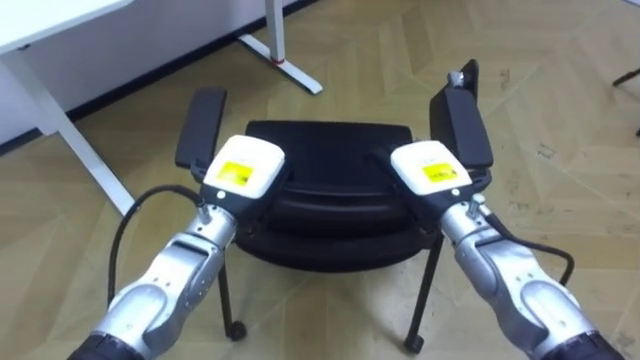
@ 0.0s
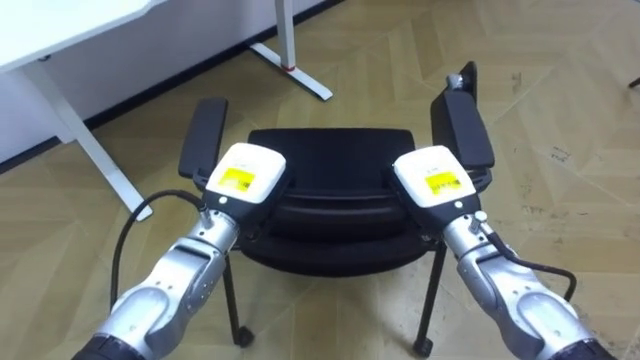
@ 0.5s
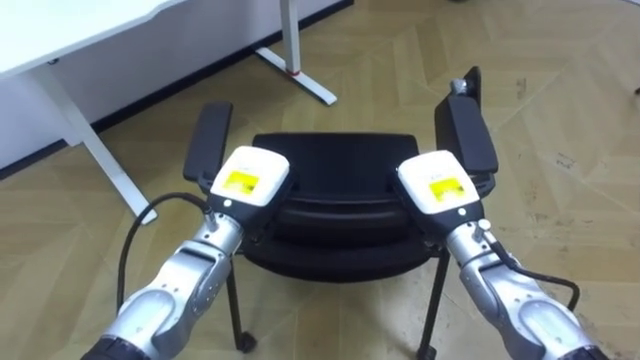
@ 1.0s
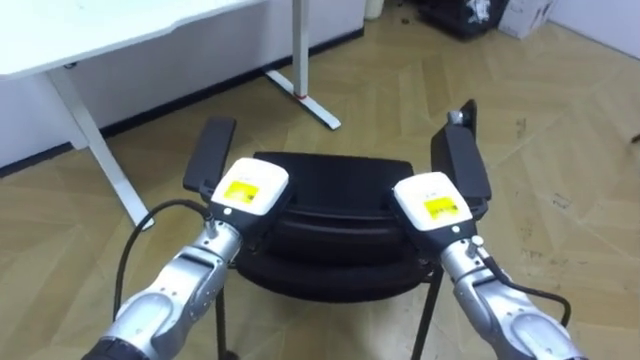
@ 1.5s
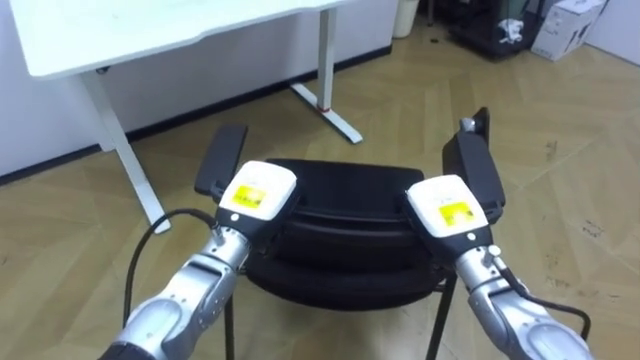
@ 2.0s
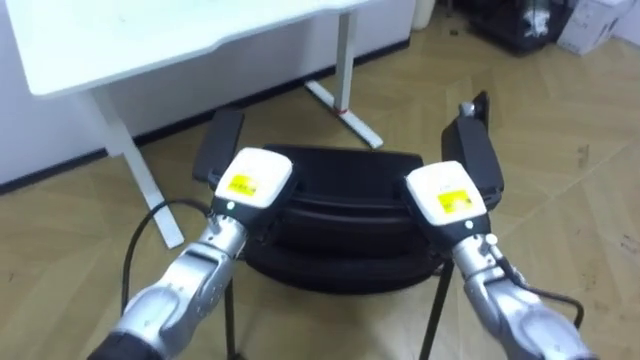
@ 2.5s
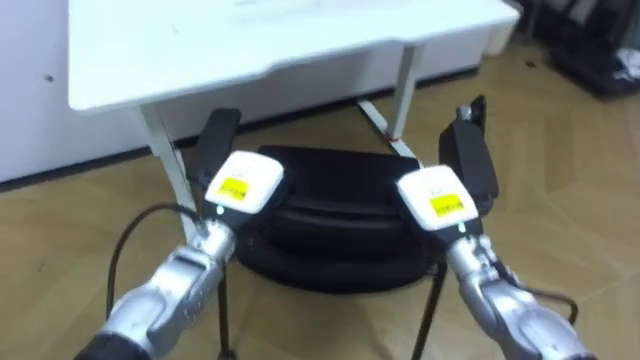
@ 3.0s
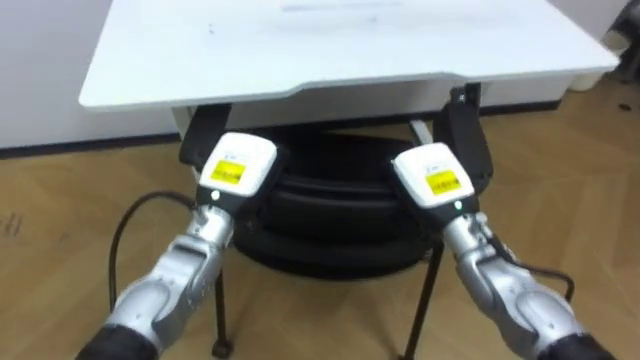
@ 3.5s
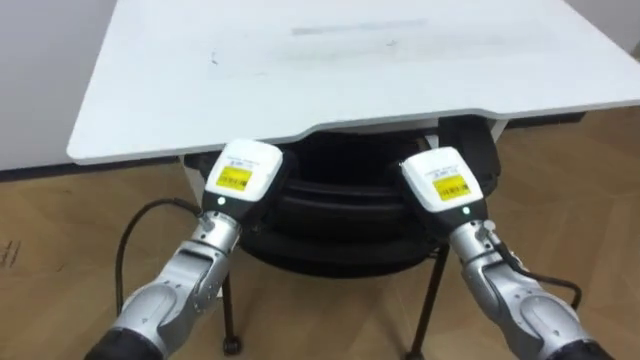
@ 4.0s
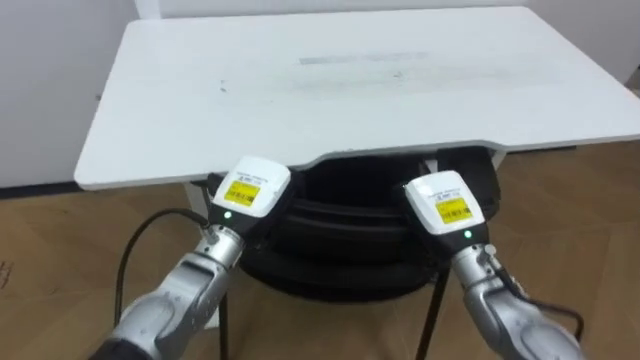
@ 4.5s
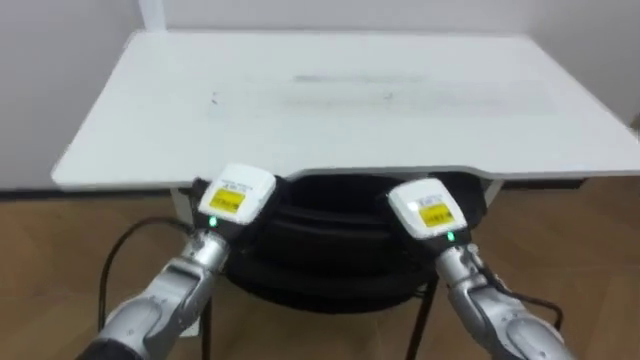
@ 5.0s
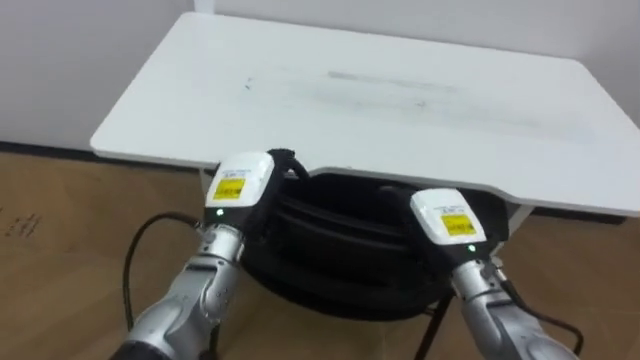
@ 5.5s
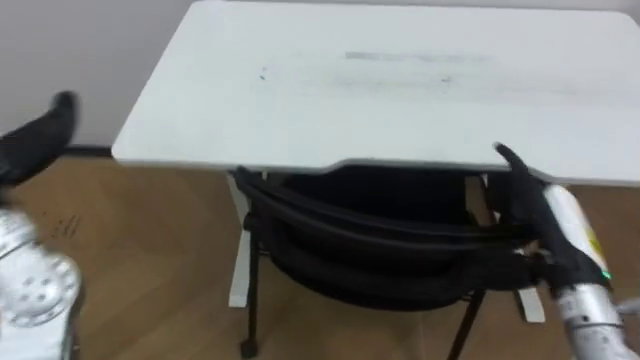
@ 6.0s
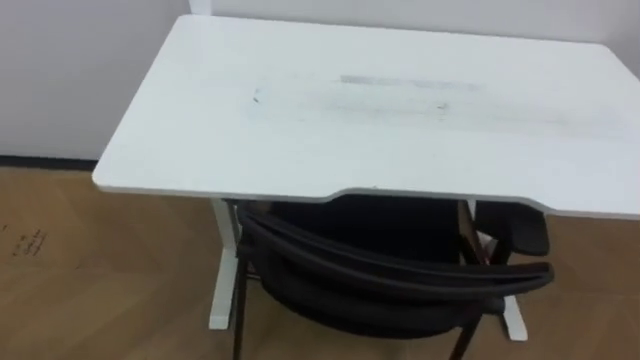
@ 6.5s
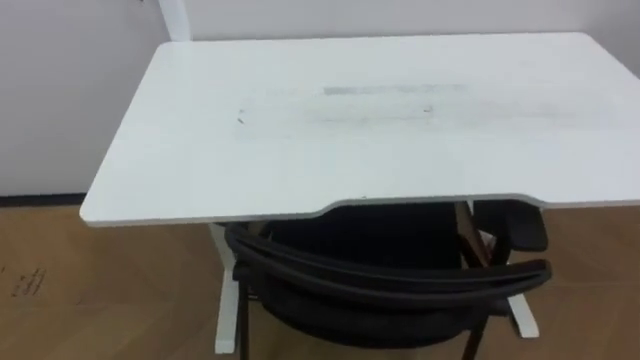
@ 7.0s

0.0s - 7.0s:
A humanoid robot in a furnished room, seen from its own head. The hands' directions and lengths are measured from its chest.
Task of the whole recording: Push the chair under the table.
0.0s - 2.0s: The right hand moves some 5 cm, and closes its fingers.
2.0s - 3.5s: The robot faces some 25 degrees further to its left.

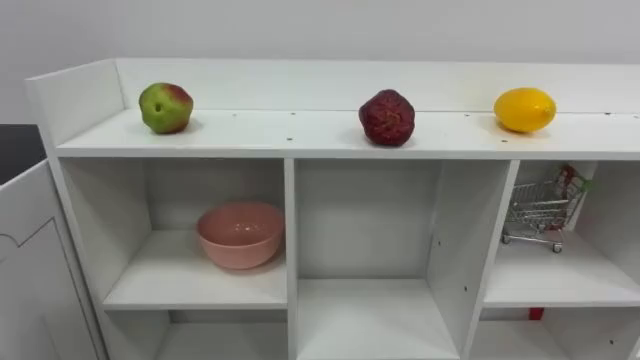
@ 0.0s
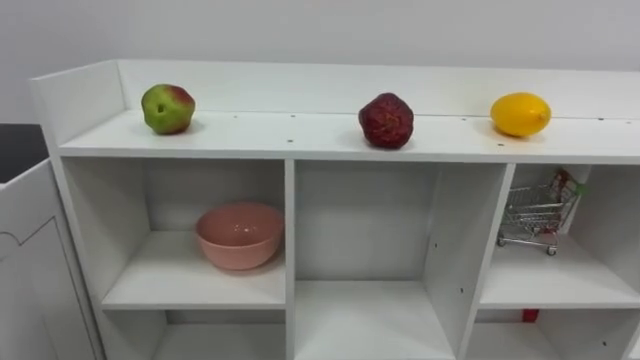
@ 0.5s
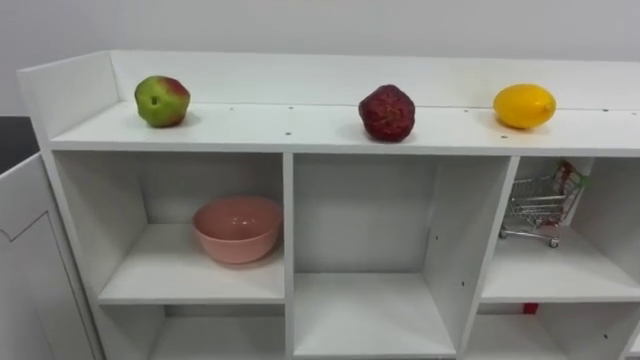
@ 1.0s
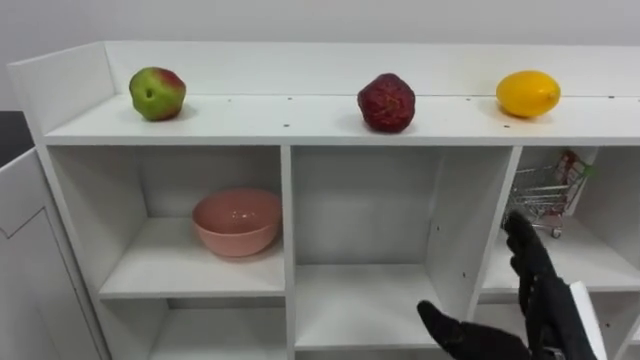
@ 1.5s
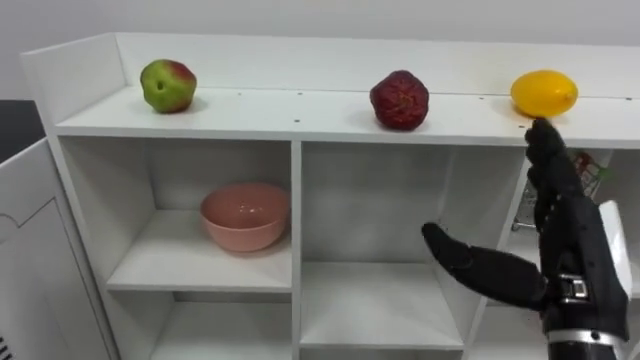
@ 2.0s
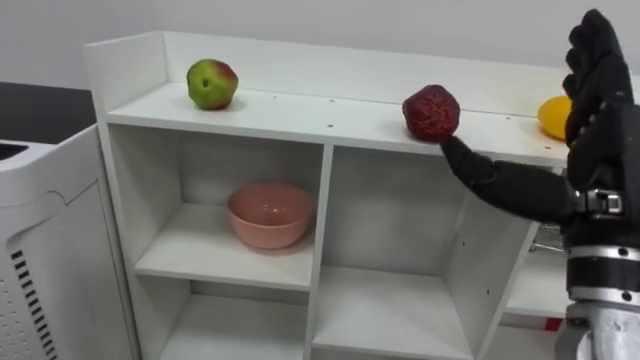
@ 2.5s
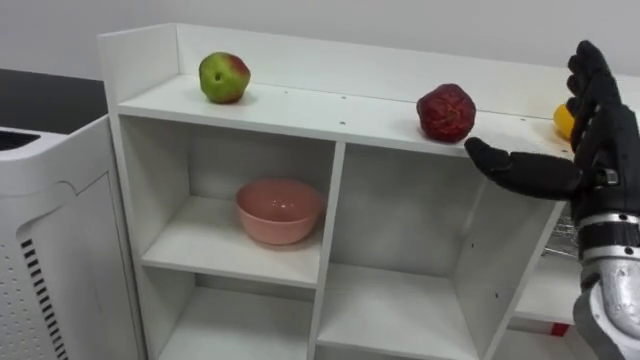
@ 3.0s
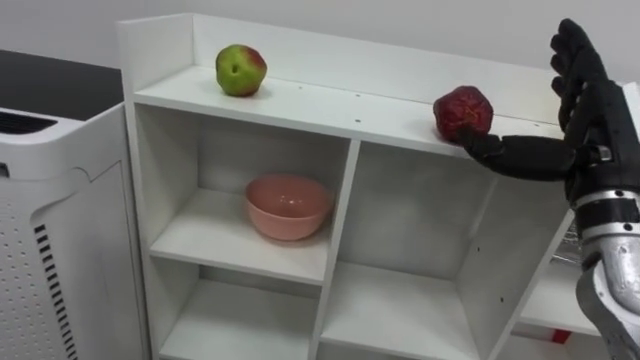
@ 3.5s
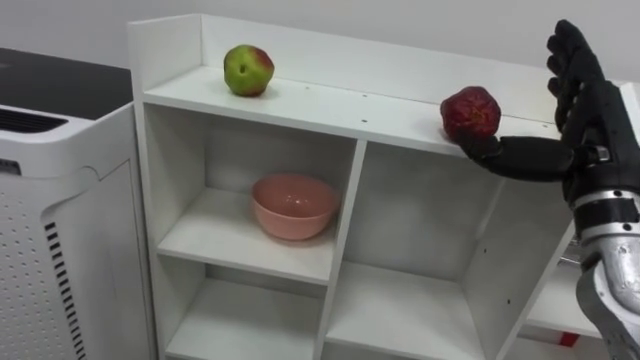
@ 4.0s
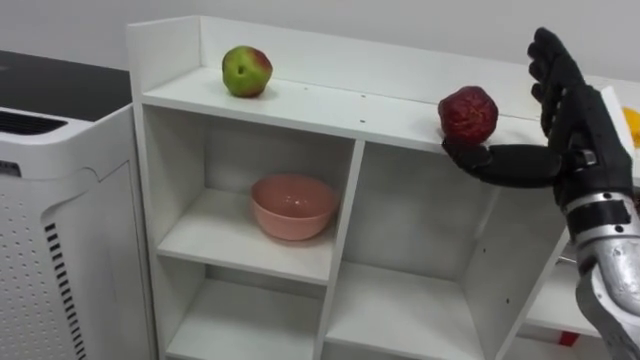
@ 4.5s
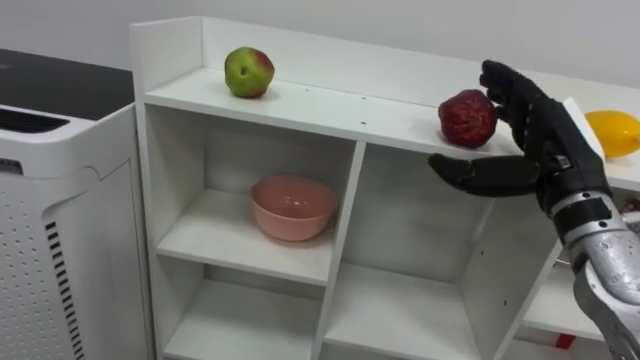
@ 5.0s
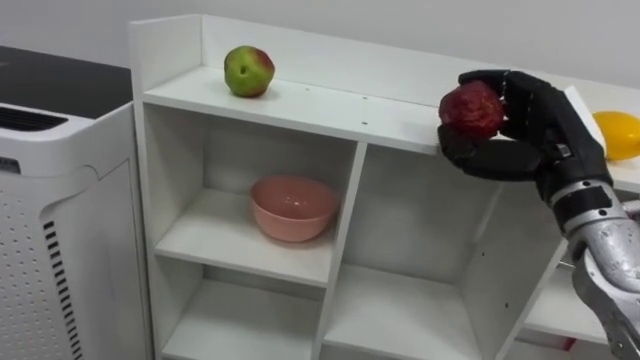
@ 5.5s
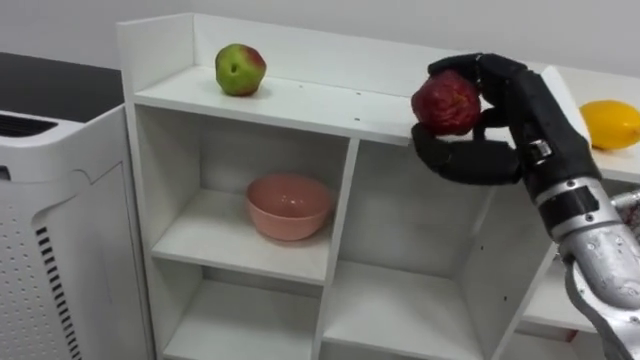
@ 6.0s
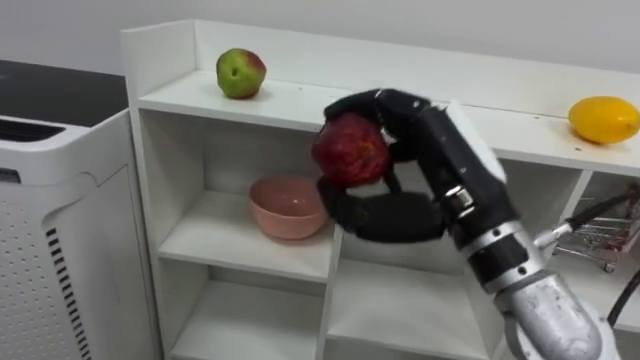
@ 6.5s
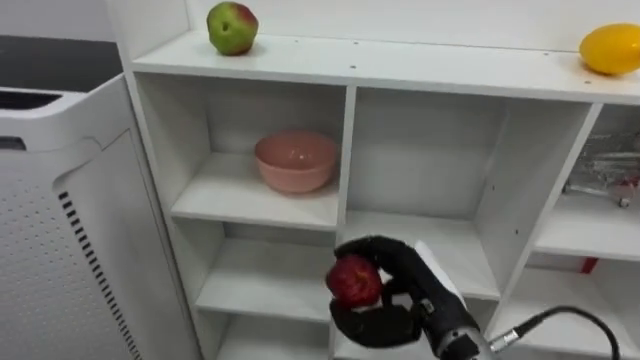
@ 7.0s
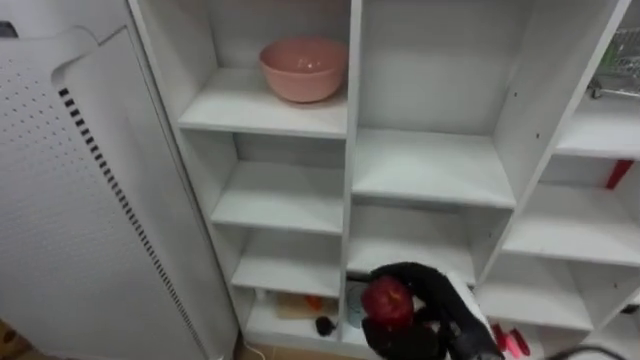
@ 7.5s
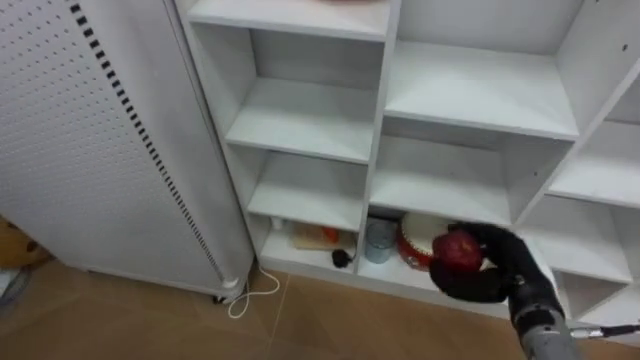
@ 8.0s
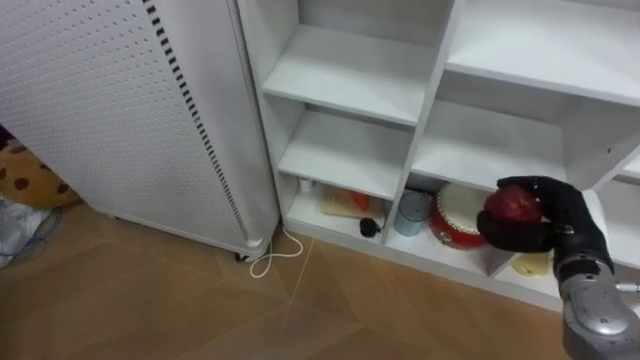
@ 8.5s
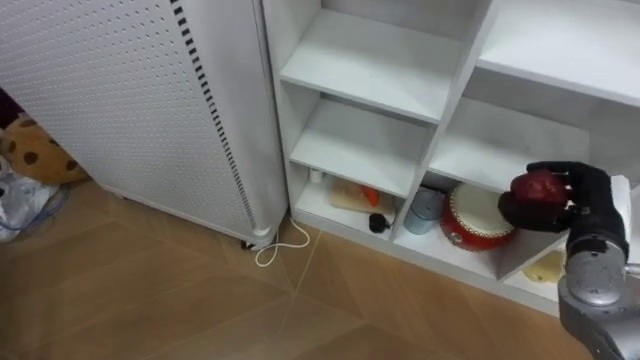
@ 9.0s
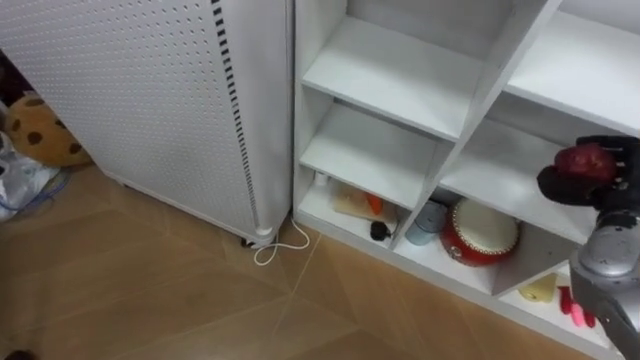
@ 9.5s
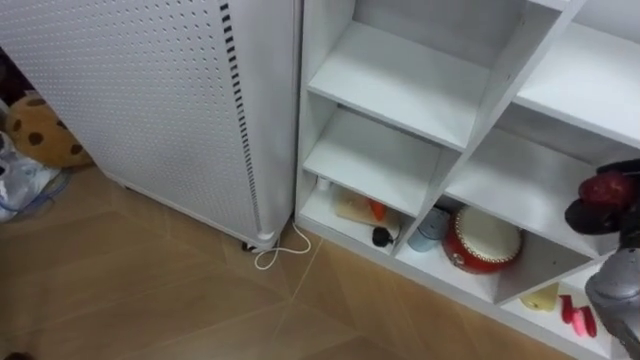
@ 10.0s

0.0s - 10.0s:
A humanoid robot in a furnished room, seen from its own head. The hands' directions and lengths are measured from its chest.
Task of the whole recording: Put the apple in the cell in the second column from the left and the second row from the top.
2.0s - 4.0s: The right hand heads forward and upward, covering some 10 cm.
4.0s - 6.0s: The right hand shifts by roughly 5 cm, and closes up.
6.0s - 8.0s: The right hand is displaced downward by some 20 cm.

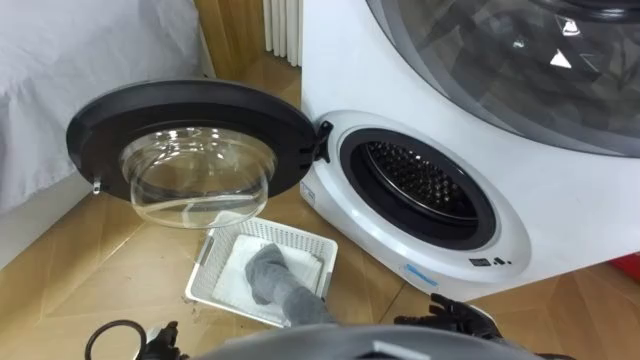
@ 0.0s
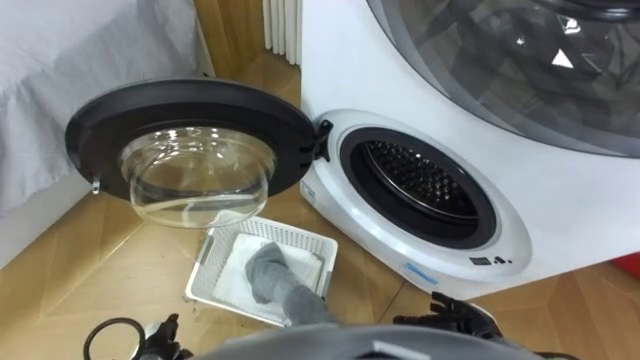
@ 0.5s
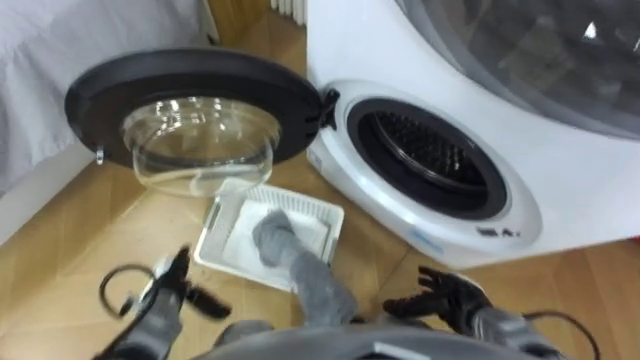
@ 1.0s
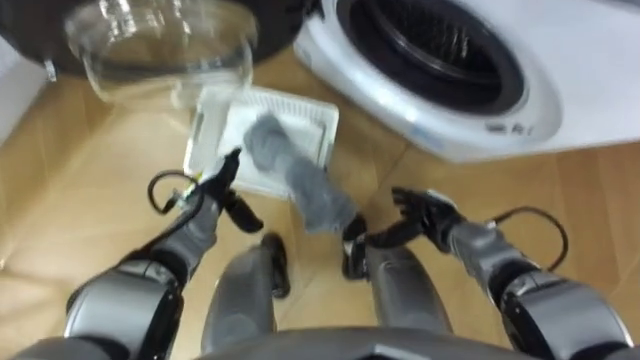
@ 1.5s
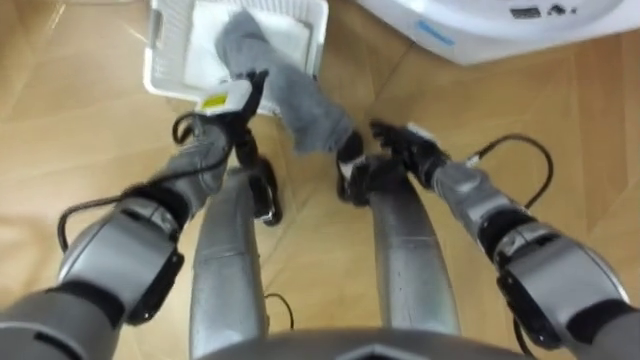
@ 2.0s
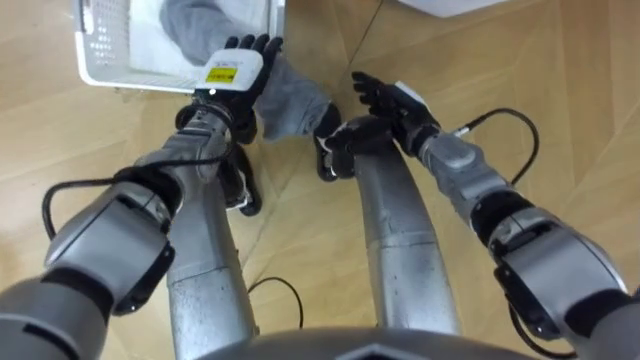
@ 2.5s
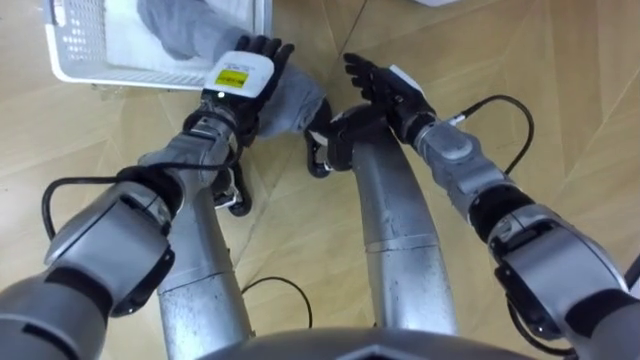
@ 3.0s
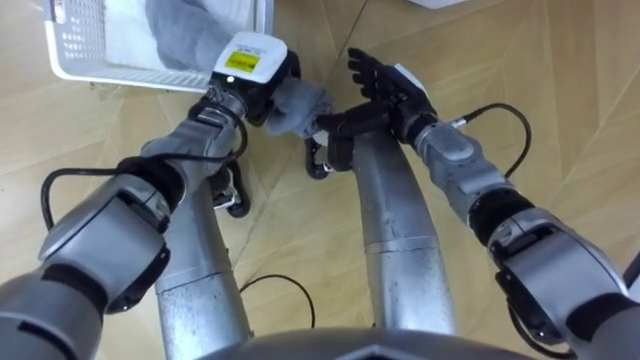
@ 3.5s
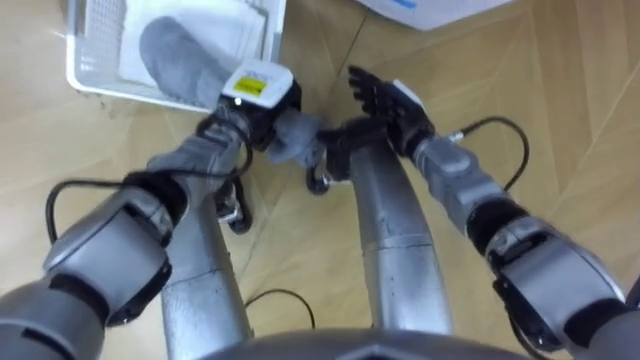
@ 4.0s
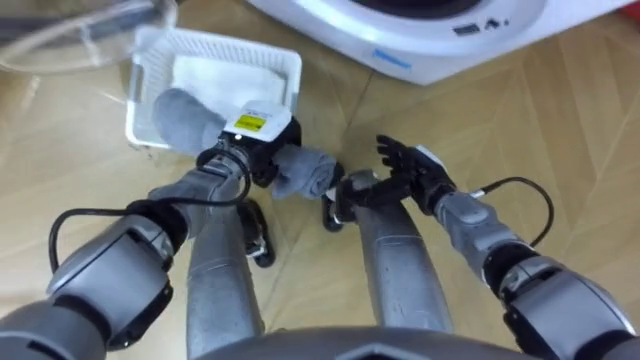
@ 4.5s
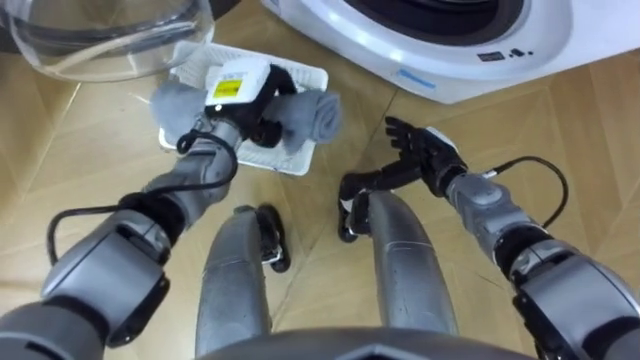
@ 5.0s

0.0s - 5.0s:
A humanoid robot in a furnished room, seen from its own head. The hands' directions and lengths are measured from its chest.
Task of the whole recording: Take the towel from the basket and put it into the washing machine.
2.5s - 5.0s: The right hand goes about 5 cm to the right; the left hand closes up.
